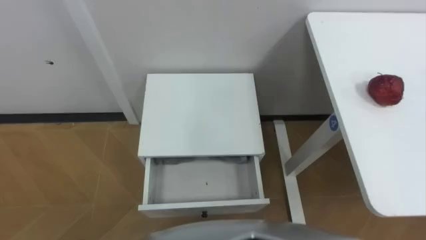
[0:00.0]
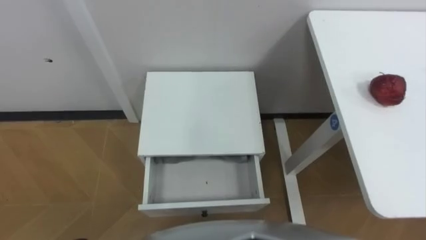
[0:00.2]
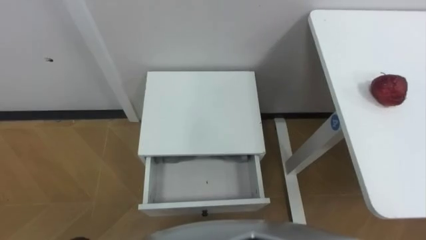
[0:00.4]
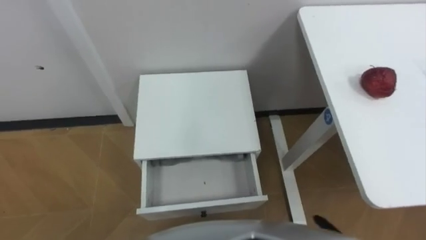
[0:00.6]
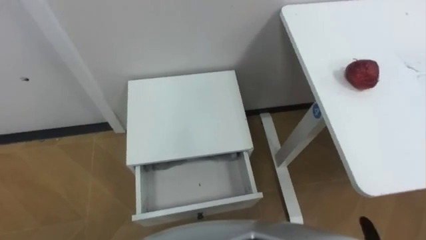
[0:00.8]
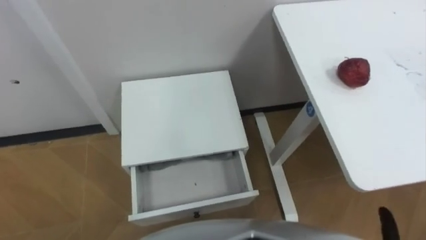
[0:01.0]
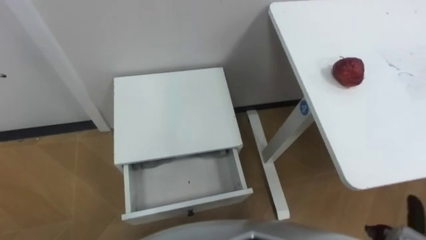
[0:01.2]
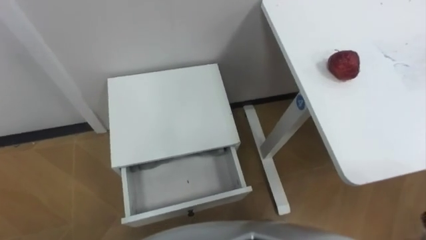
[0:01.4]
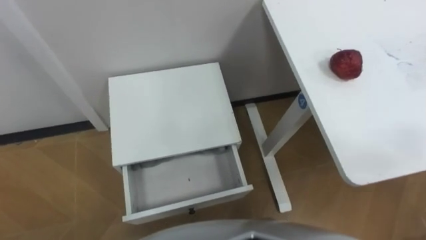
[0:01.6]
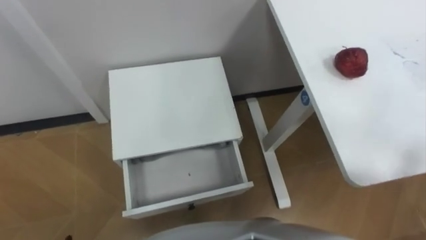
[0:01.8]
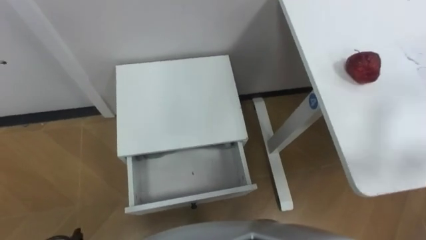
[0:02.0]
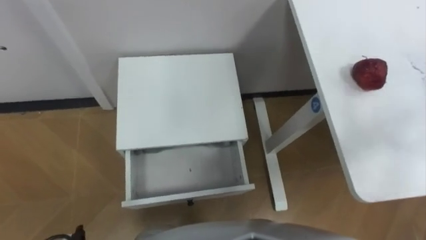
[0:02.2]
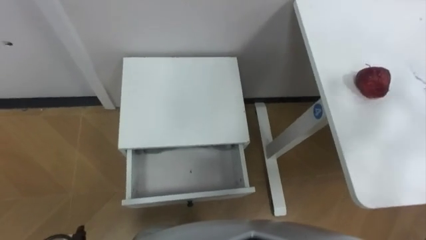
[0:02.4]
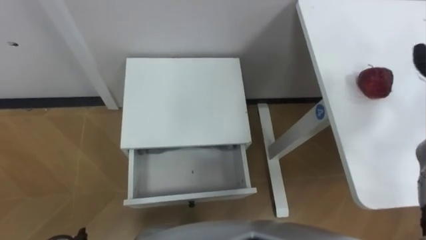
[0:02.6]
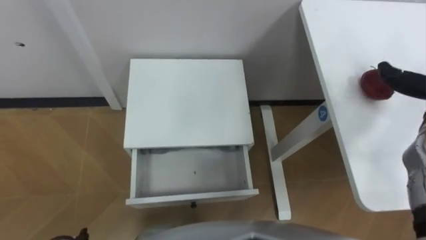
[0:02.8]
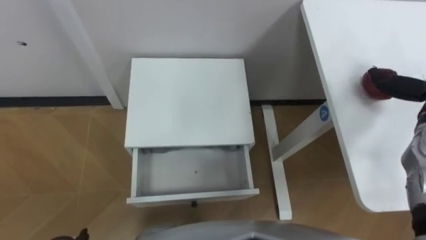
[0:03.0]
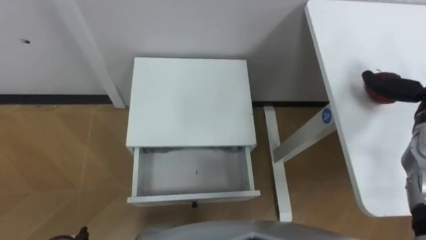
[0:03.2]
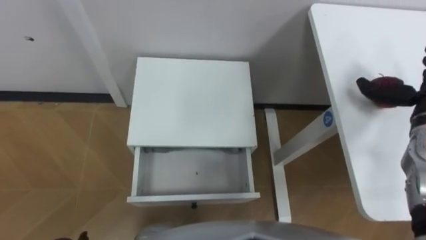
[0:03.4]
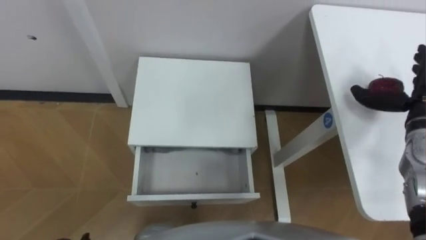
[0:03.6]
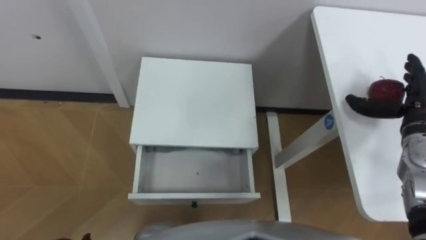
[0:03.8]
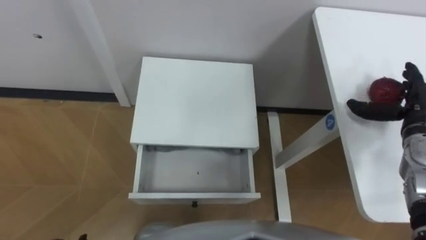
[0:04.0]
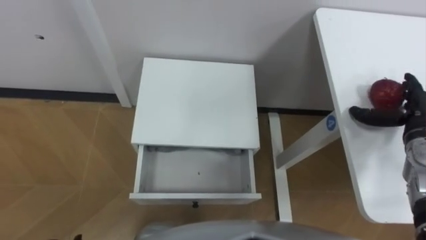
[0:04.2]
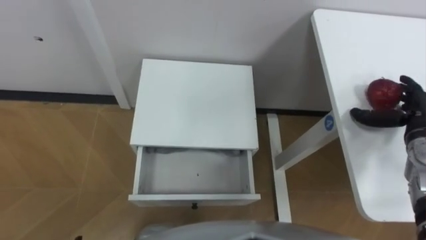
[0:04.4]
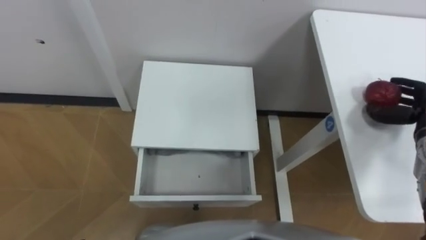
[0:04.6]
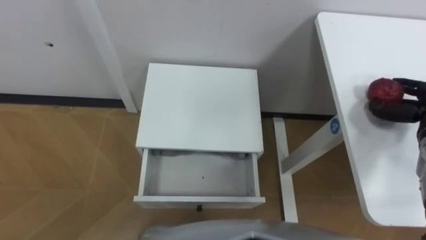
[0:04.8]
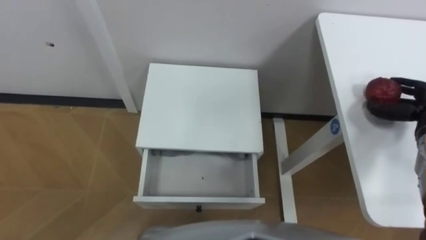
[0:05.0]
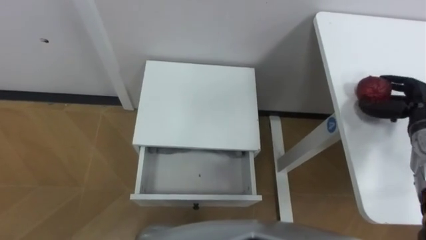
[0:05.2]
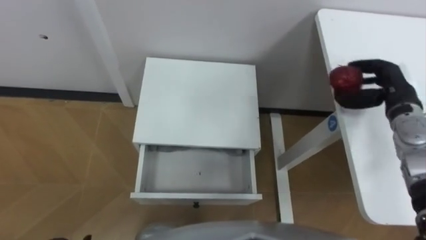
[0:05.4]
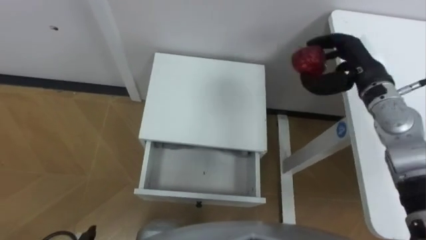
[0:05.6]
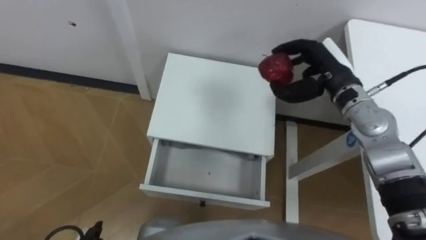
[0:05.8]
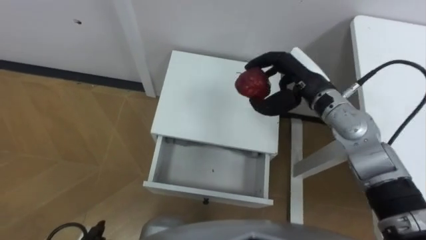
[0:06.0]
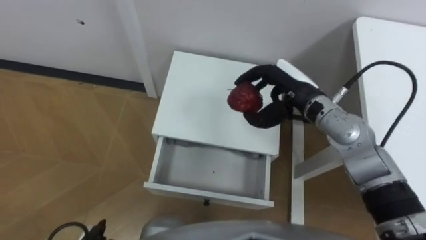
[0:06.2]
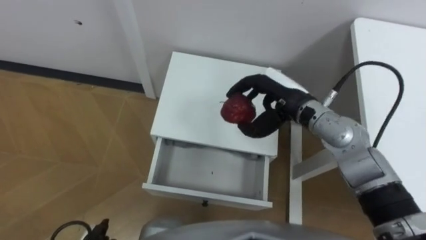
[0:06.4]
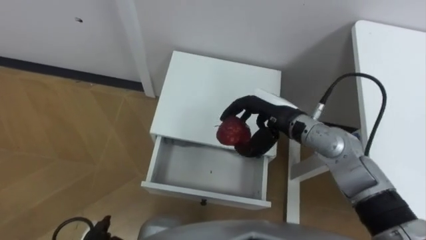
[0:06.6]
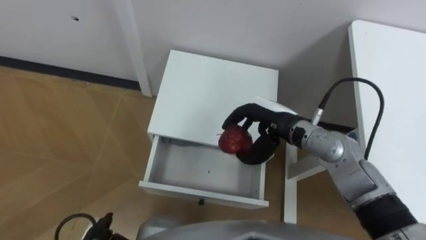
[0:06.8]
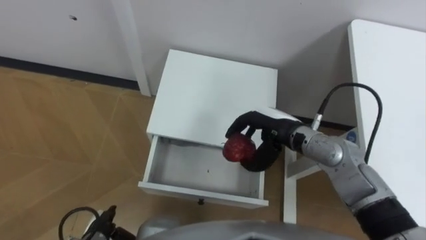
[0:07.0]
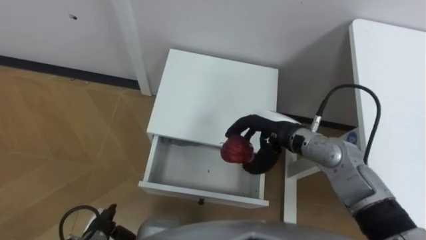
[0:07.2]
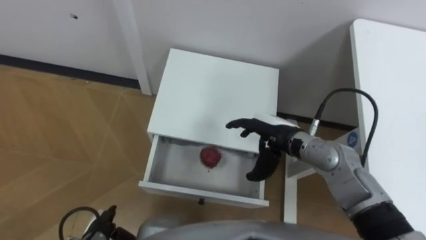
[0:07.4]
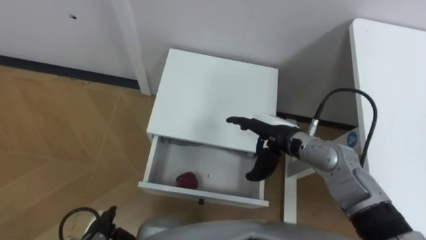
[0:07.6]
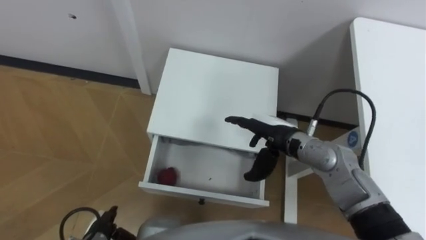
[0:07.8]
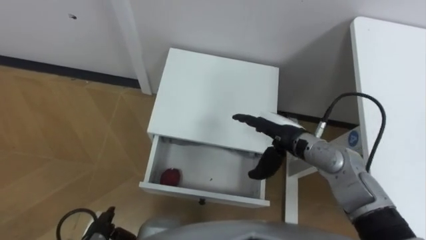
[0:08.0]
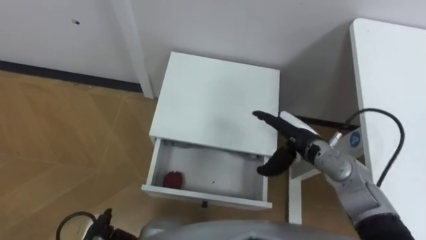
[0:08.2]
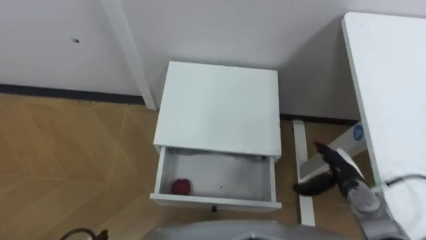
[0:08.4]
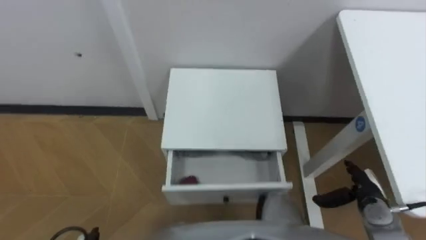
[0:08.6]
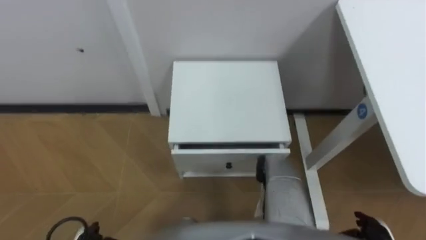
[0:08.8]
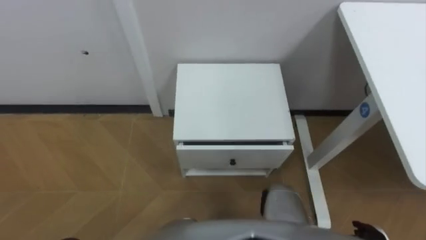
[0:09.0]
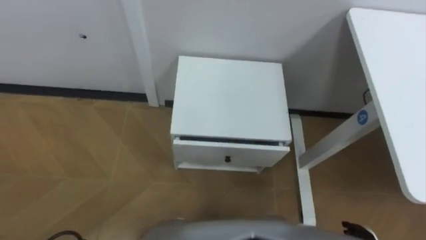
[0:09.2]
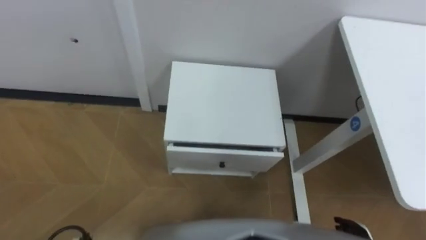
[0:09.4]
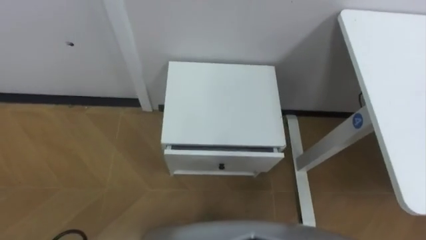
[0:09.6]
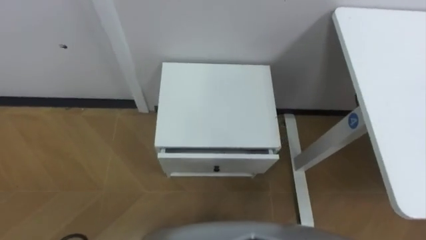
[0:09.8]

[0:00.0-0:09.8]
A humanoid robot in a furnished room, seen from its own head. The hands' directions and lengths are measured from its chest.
Task of the whole recording: Pick up the apple from the table, put it in the drawer, and close the drawer with leg.
0:05.6 to 0:07.0: The right hand shifts about 20 cm to the left, downward and backward.
0:07.0 to 0:08.4: The right hand is displaced to the right, downward and backward by some 20 cm, and opens.

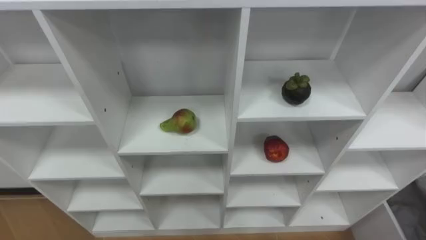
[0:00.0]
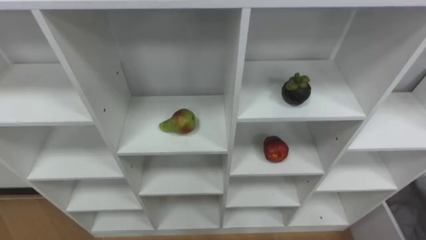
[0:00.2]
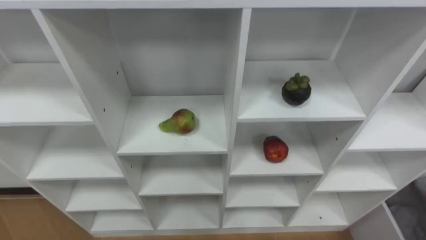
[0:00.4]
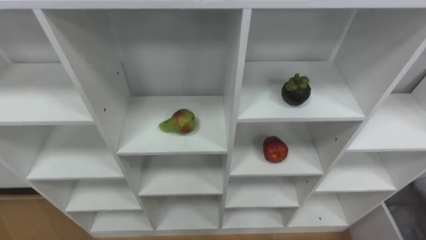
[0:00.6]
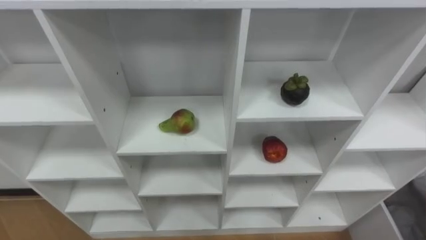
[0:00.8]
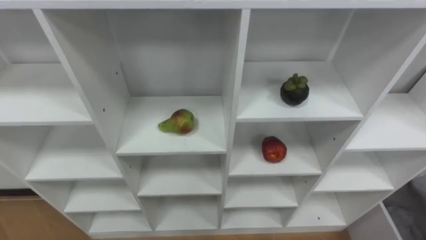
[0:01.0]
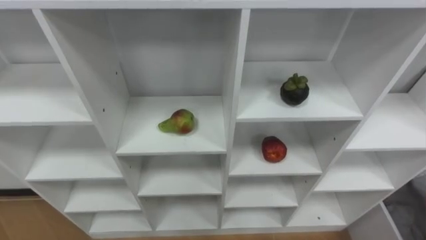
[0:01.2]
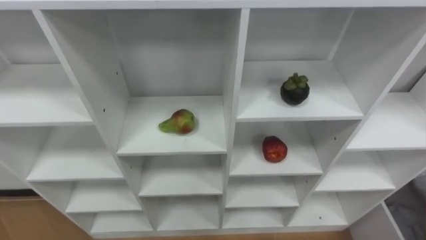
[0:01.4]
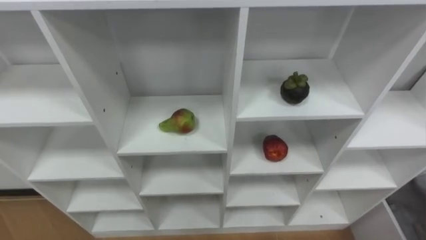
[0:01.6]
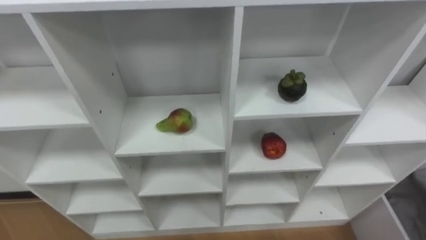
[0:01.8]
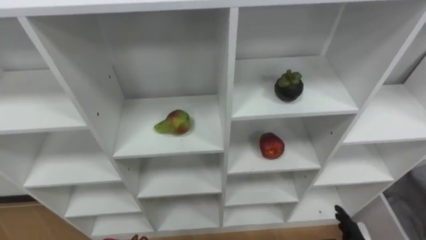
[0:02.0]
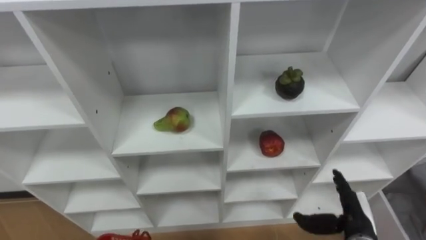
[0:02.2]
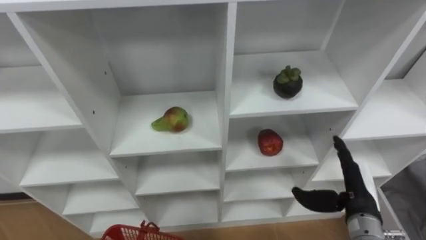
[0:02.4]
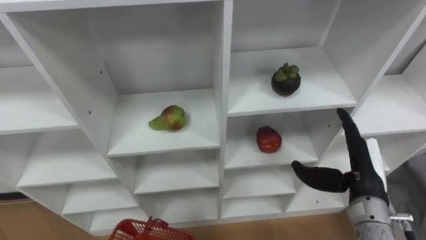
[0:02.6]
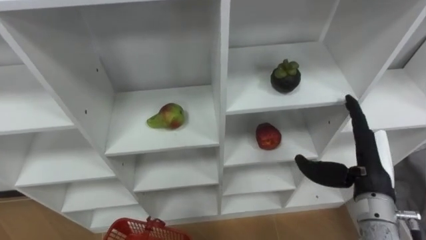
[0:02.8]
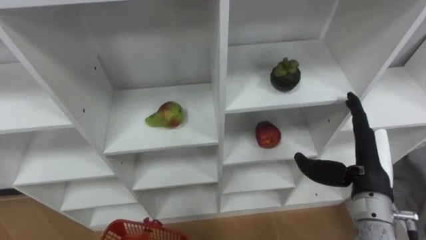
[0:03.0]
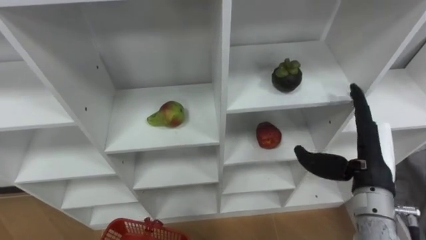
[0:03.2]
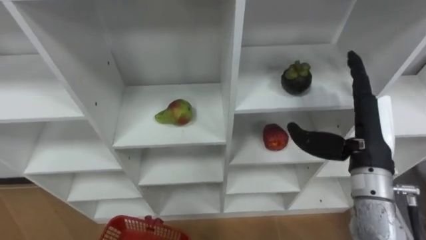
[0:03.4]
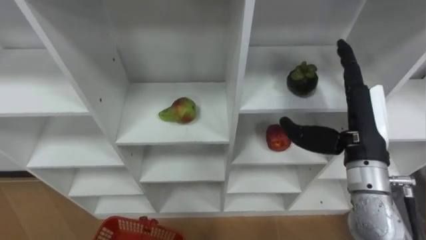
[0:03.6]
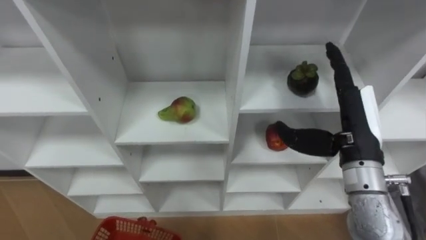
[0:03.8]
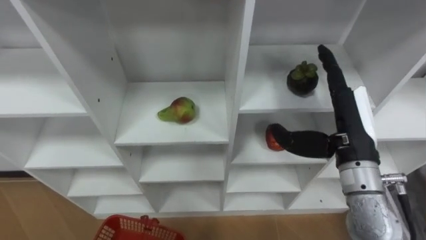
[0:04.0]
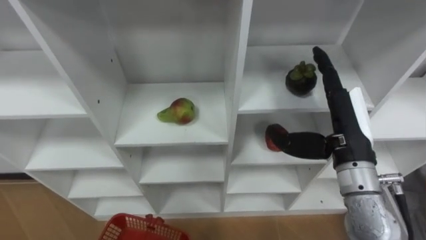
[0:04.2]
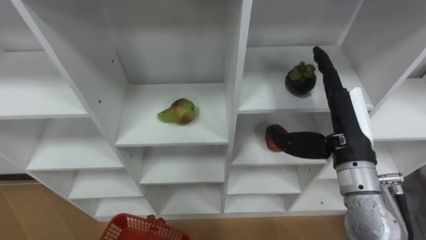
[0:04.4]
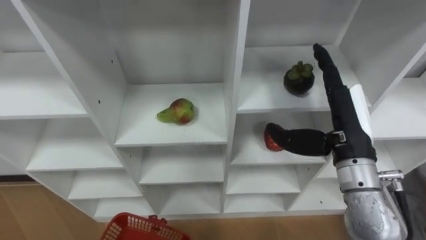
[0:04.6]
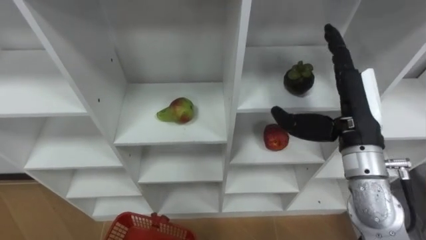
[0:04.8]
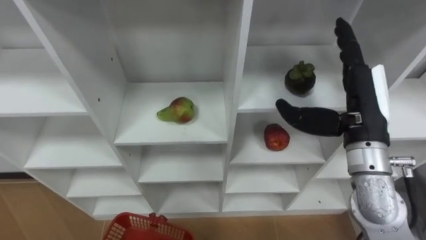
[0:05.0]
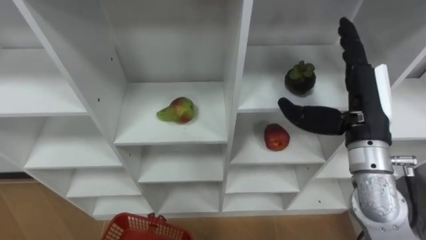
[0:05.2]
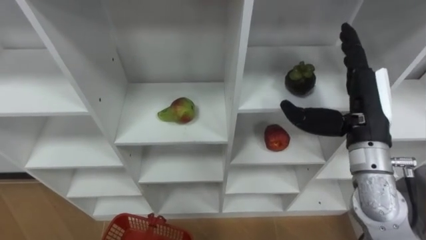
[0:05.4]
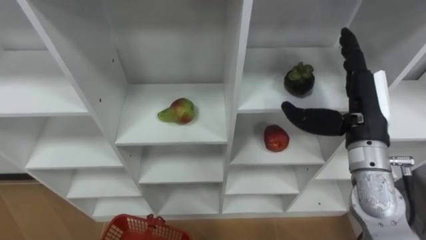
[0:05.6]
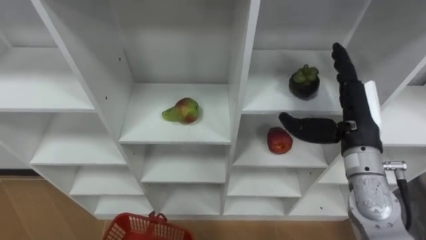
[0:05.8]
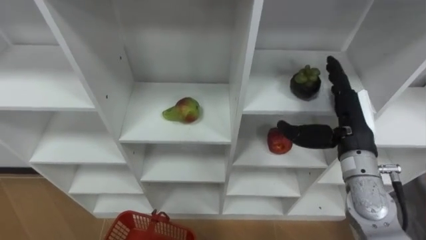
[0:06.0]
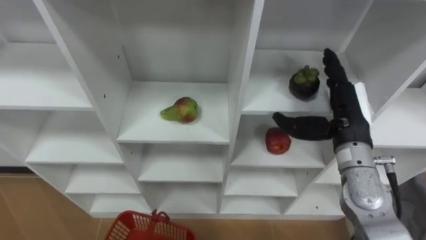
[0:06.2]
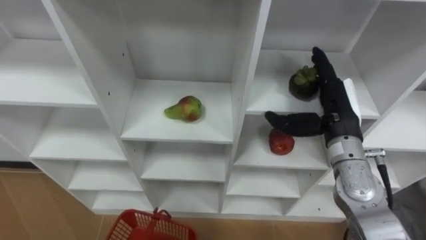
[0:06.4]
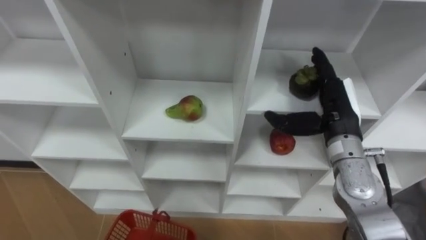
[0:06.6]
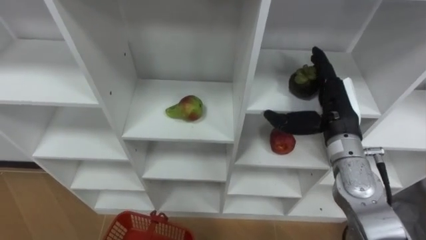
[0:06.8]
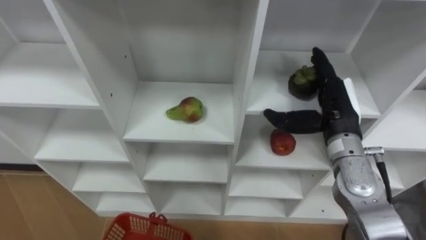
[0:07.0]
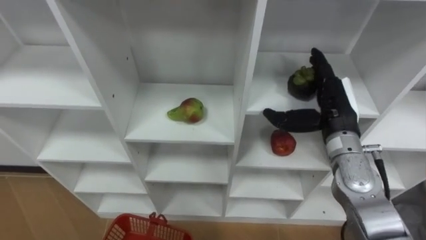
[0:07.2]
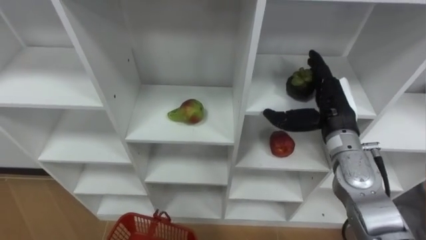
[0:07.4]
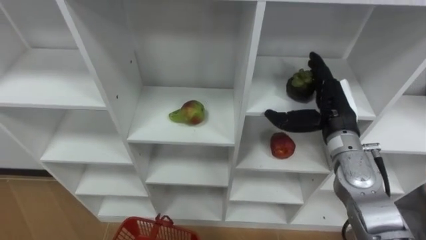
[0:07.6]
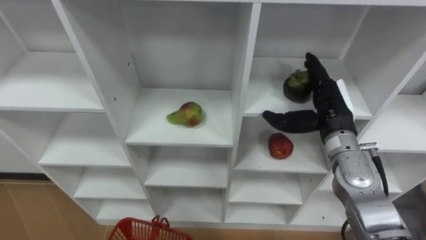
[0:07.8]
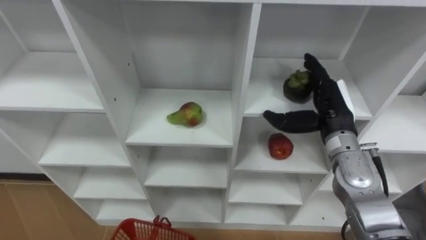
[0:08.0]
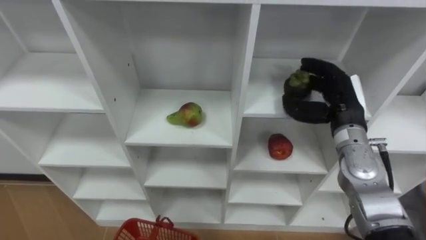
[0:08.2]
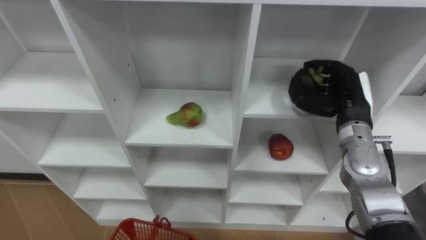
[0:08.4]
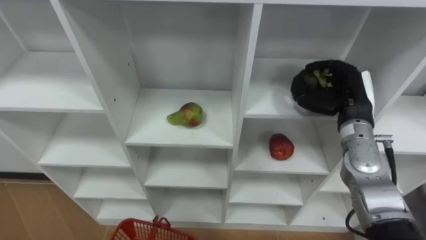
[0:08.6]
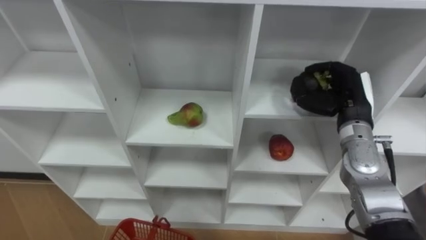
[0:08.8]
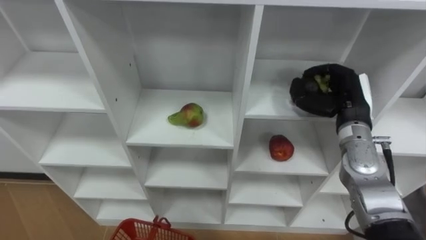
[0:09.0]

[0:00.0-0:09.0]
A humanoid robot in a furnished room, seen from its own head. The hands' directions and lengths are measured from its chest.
Task of the whole recording: Hold the basket and collect the fruits from 3 different cells of the closet into it.
0:03.0 to 0:04.4: The right hand goes some 10 cm upward and to the left.
0:04.4 to 0:06.0: The right hand ends up roughly 5 cm from where it was.
0:07.6 to 0:09.0: The right hand closes.
